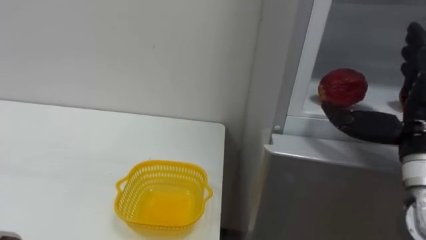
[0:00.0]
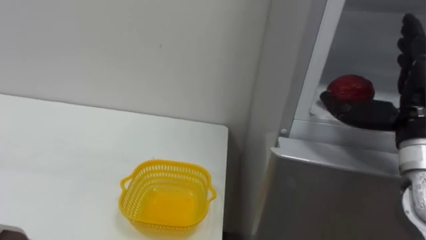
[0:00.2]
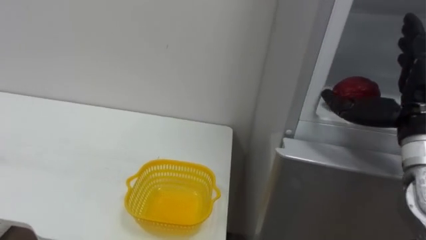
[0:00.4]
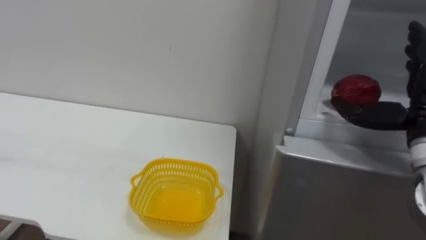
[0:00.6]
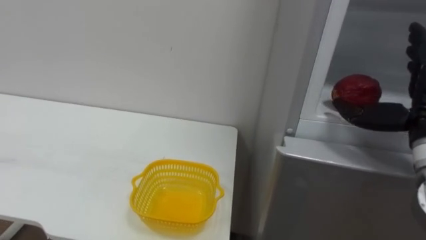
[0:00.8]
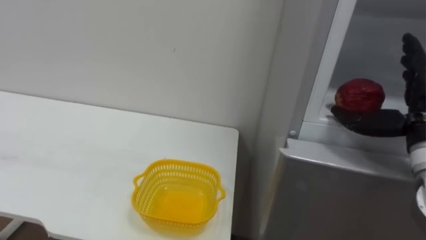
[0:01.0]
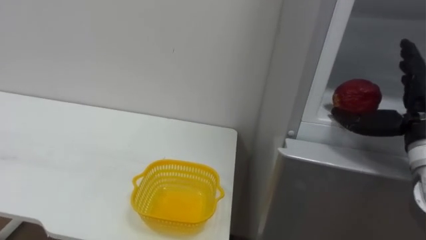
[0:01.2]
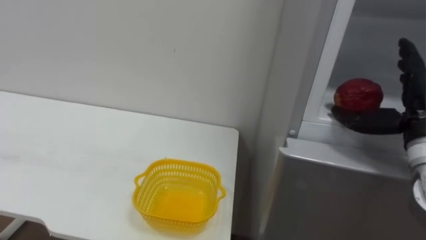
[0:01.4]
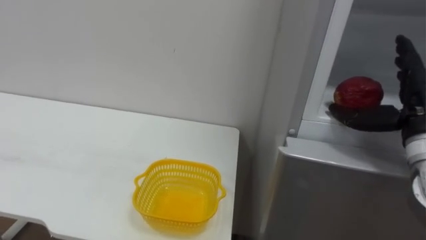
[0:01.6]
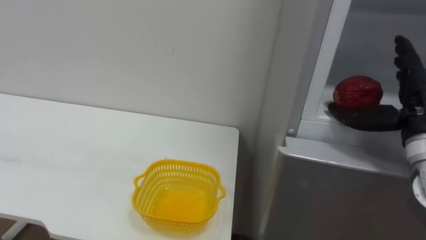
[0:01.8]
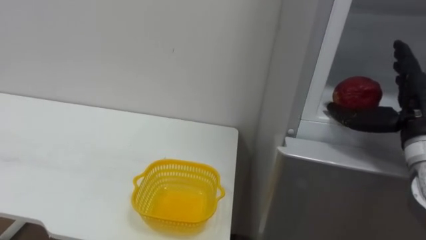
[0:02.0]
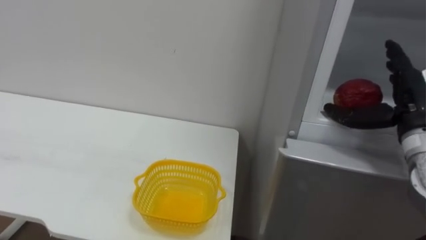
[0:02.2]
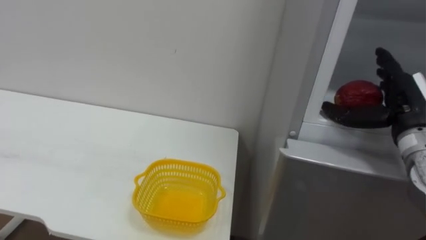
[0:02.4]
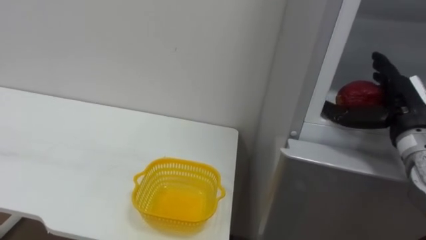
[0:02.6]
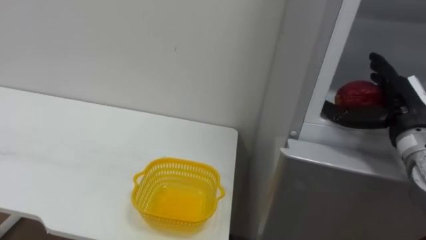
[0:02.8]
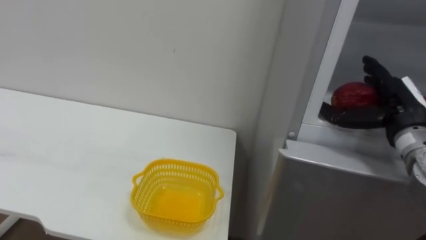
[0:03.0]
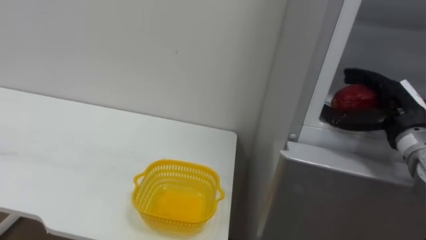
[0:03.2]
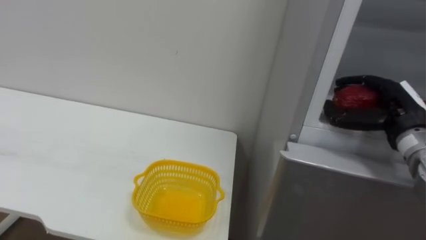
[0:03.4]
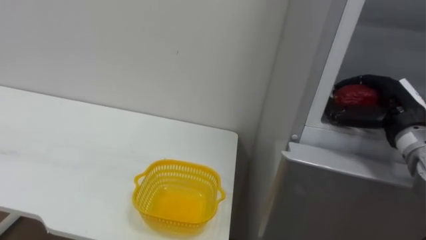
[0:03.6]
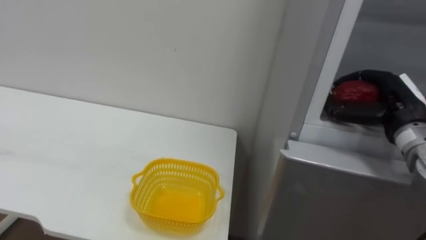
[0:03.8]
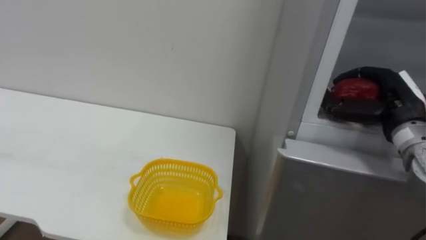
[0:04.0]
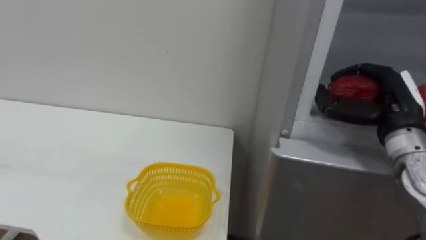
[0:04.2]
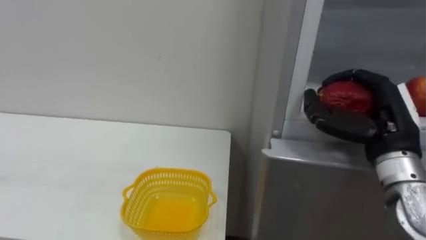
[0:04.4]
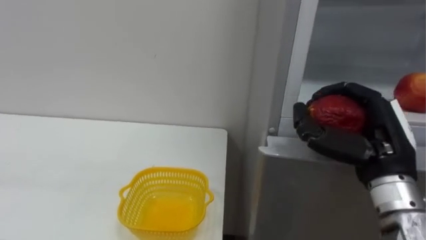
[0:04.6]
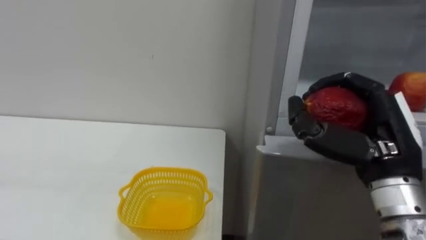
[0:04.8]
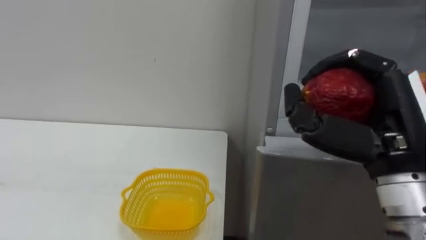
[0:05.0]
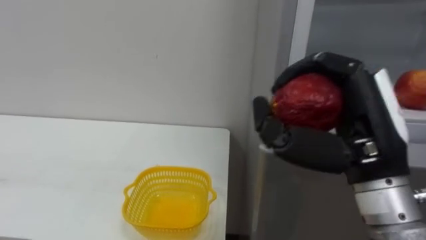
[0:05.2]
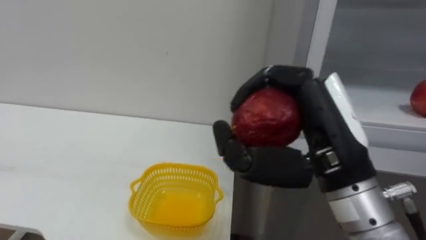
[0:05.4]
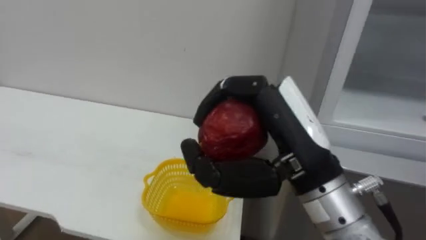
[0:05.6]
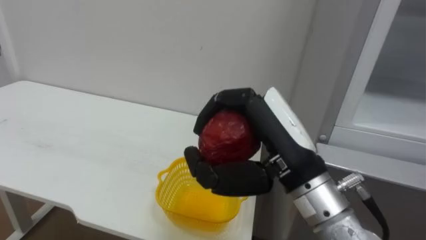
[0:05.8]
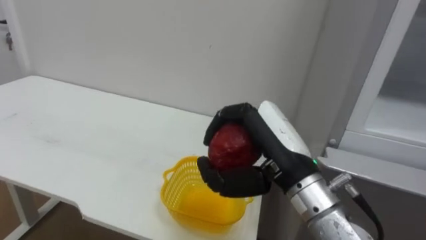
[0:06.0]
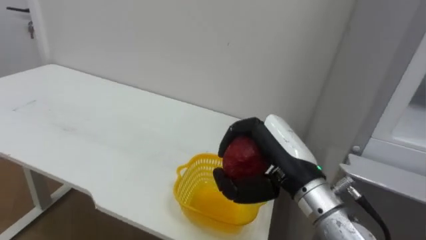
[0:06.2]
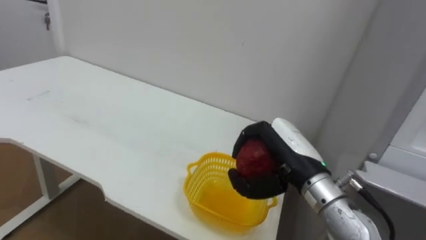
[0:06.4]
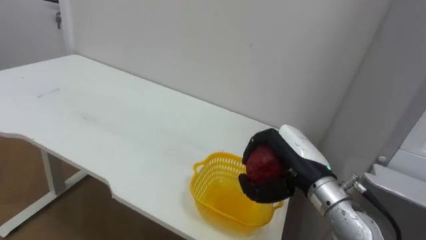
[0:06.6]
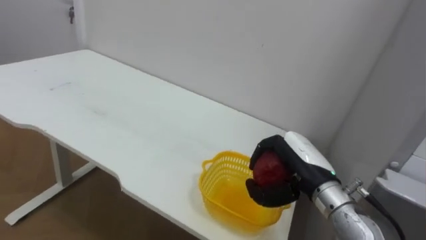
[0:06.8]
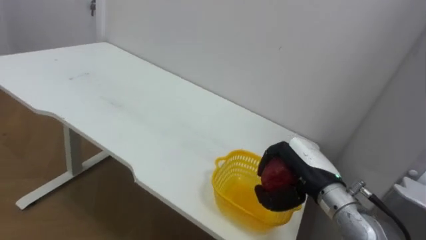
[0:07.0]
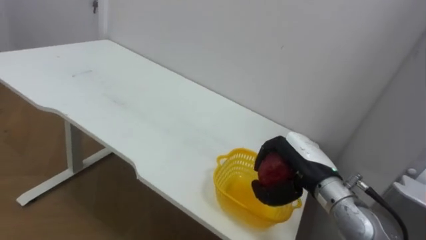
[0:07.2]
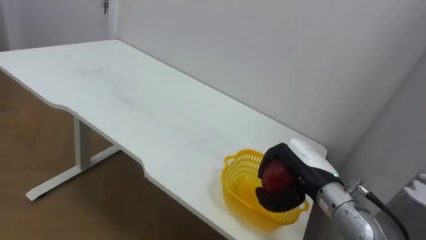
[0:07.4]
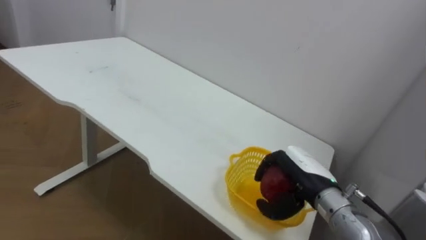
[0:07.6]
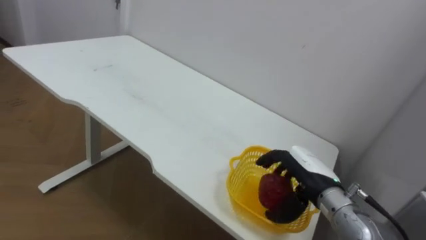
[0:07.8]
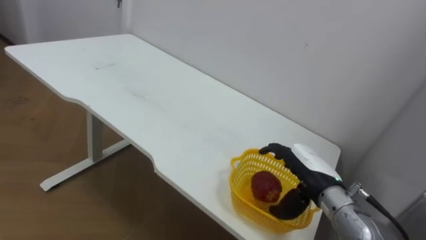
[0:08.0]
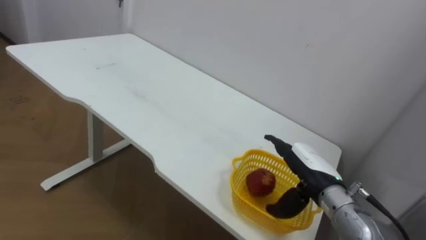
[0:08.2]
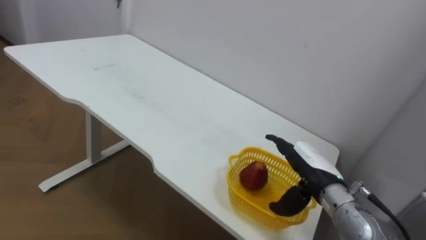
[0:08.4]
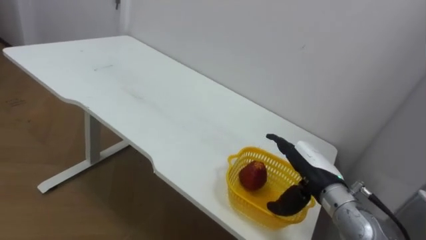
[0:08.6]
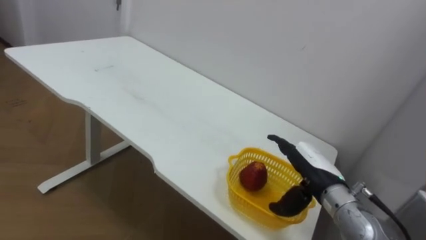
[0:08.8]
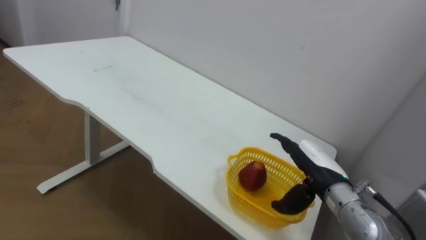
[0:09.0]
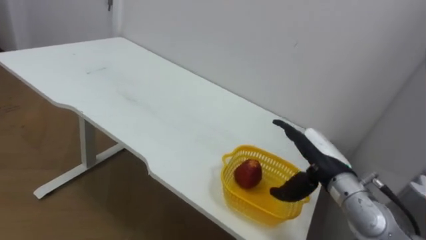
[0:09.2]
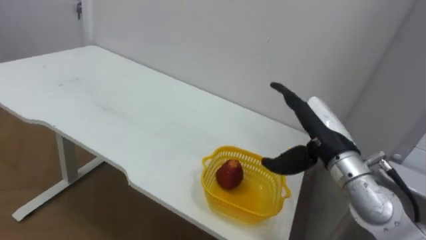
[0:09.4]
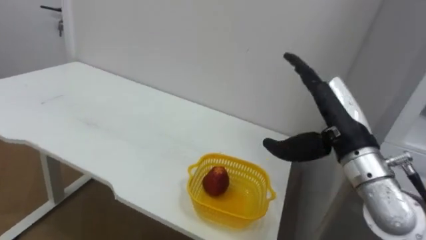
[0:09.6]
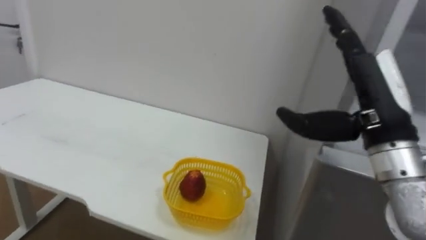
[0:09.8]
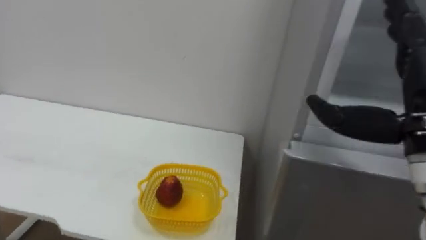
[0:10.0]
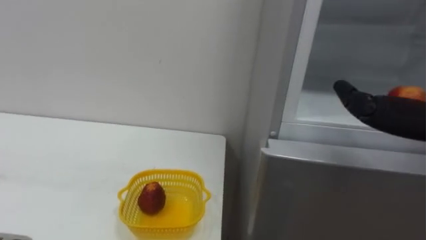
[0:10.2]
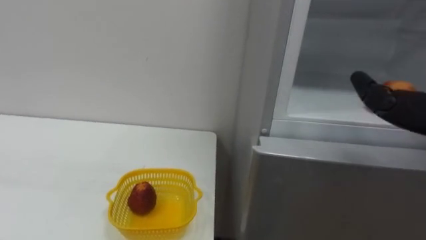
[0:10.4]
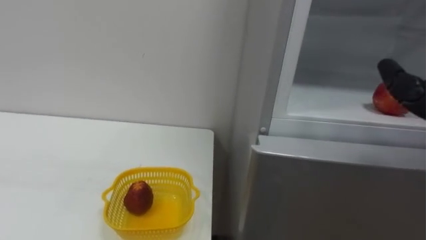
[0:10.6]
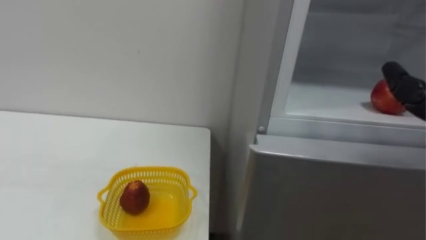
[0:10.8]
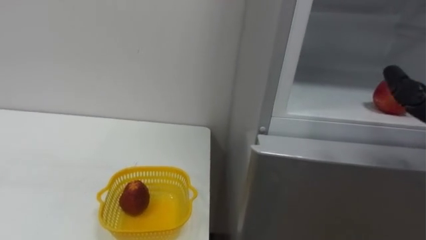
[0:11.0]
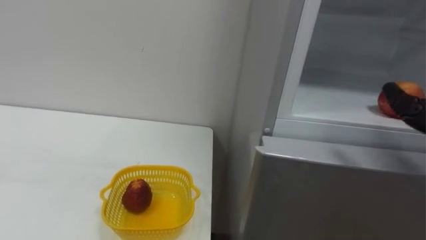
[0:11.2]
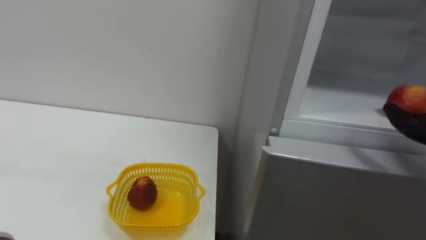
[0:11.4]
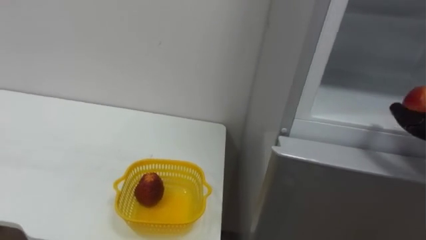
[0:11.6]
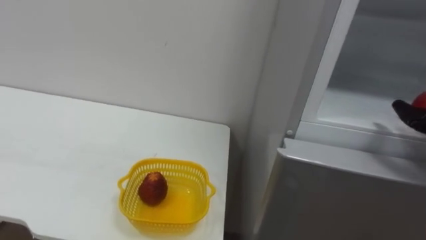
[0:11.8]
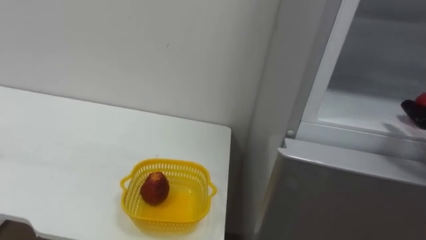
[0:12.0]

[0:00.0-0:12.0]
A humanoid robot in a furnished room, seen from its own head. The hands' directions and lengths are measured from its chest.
Task of the whole recording: Open the refrigerator door, take out the apple and the pomegranate, place them in the fruit basket on the left, and close the refrigerator door.
0:00.0 to 0:01.6: The right hand shifts some 5 cm forward.
0:03.0 to 0:04.4: The right hand is displaced backward by some 5 cm, and closes its fingers.
0:04.4 to 0:06.0: The right hand moves to the left, approximately 15 cm.
0:06.0 to 0:07.6: The right hand travels downward, forward and to the right by about 15 cm.
0:07.6 to 0:09.0: The right hand opens.

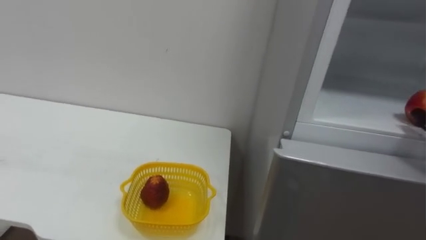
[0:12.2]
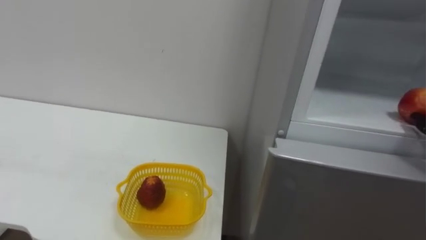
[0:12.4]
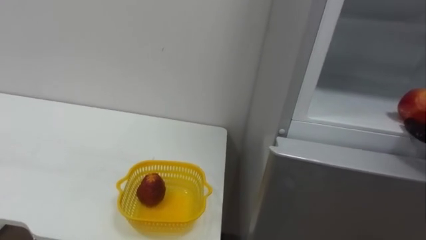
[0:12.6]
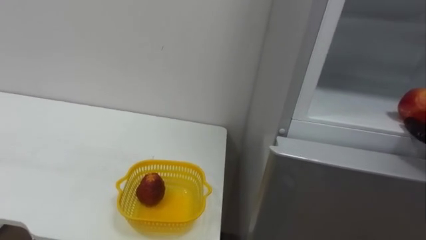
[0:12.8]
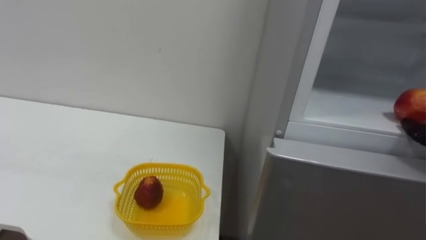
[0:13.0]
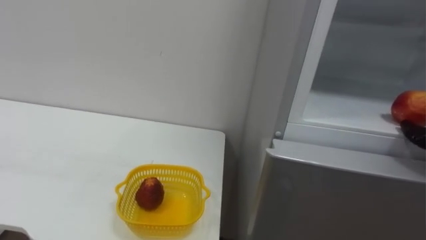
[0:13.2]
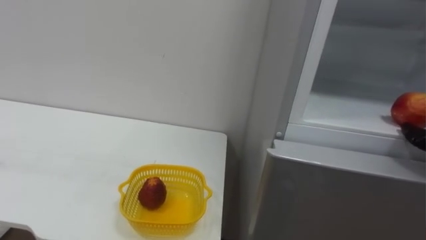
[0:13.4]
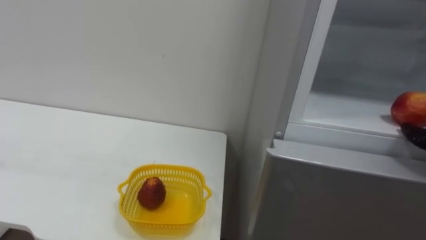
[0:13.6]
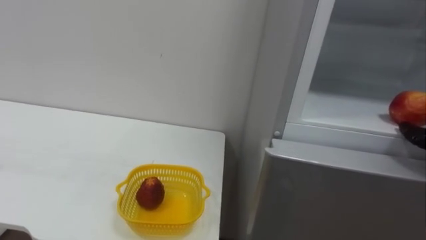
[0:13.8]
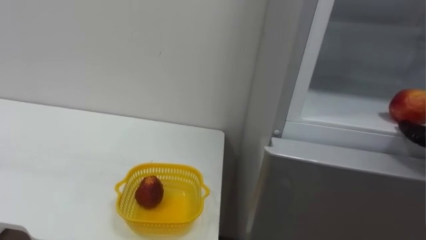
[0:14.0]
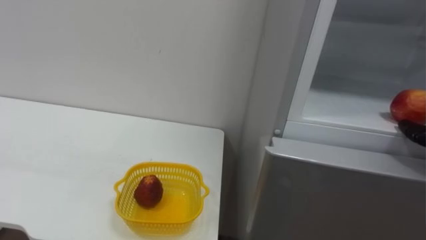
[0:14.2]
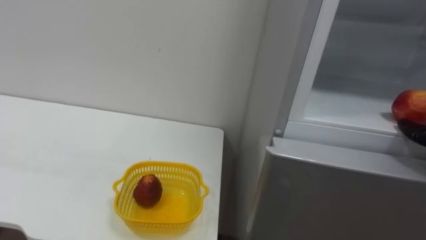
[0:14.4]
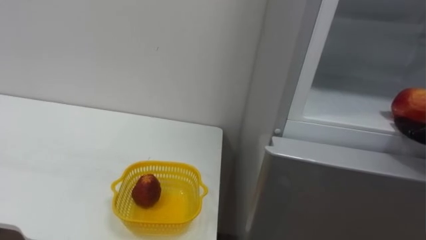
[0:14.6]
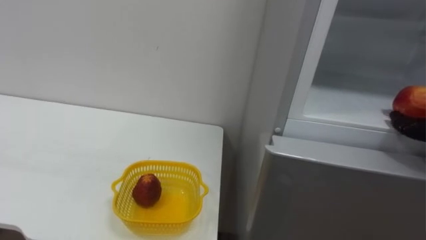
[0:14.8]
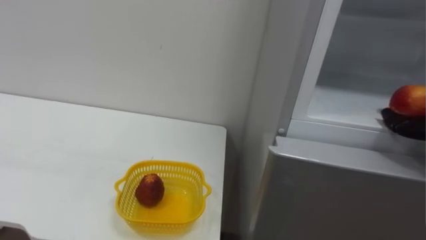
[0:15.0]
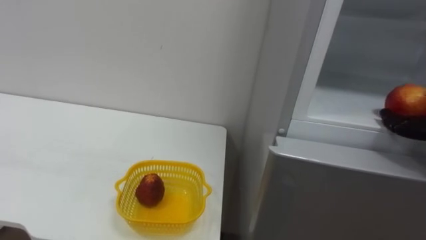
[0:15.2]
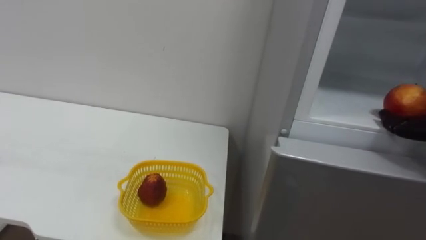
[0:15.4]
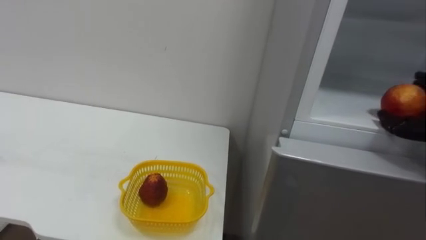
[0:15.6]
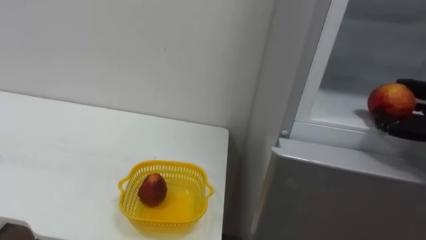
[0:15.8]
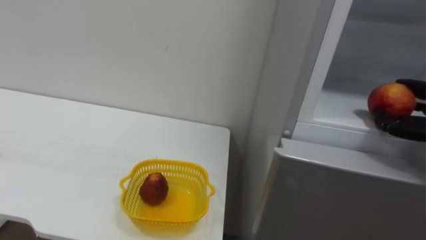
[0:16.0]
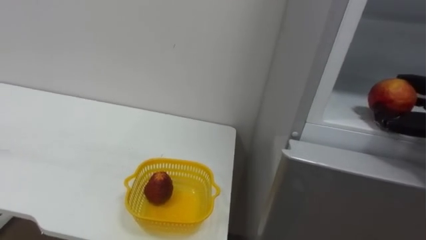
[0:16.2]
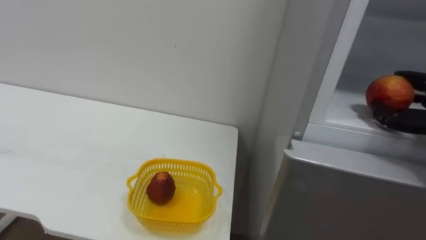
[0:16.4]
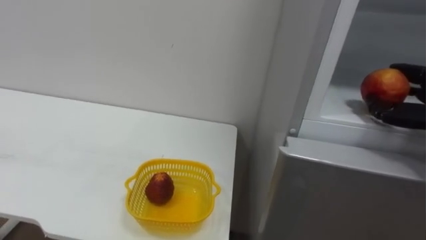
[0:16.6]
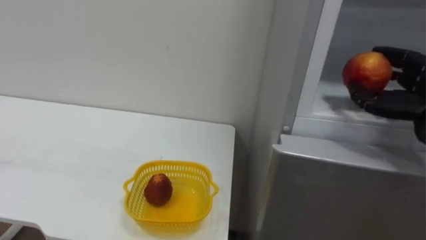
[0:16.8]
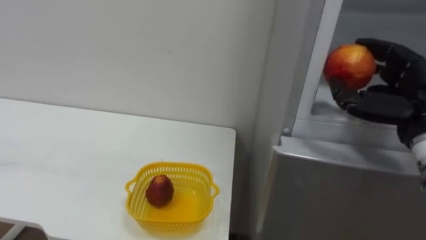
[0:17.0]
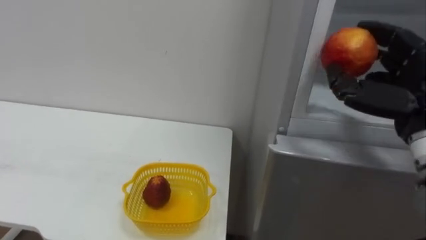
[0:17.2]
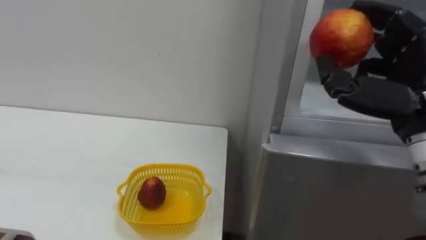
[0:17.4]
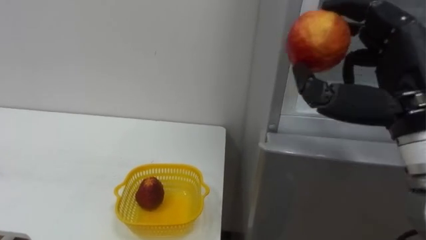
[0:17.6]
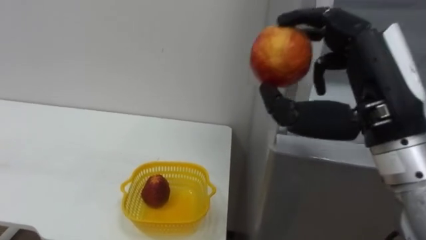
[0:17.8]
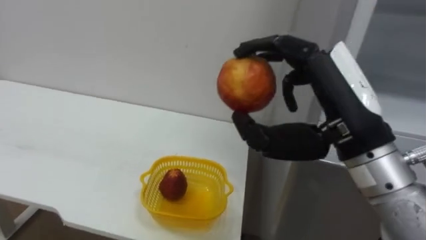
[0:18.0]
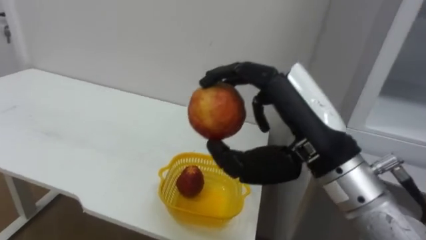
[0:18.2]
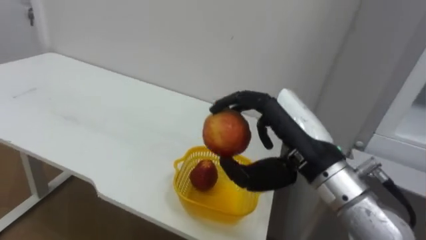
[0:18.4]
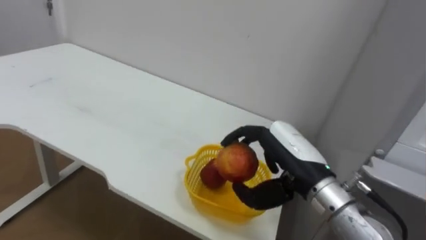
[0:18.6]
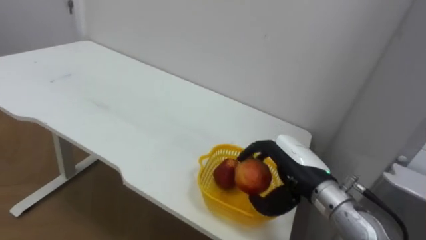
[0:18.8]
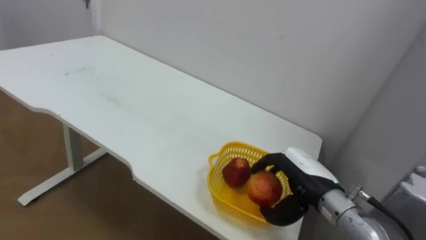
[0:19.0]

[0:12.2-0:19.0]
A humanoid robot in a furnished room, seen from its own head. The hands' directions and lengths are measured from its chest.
Task of the whole recording: Open the refrigerator door, take out the apple and the pomegranate, place them in the fruit basket on the left, and close the refrigerator door.
0:17.6 to 0:19.0: The right hand goes roughly 20 cm downward.
